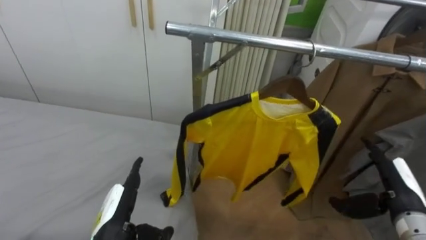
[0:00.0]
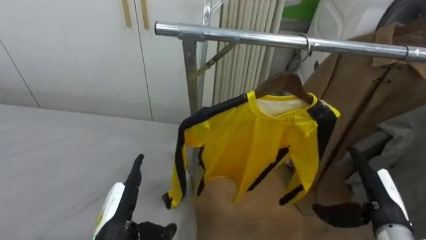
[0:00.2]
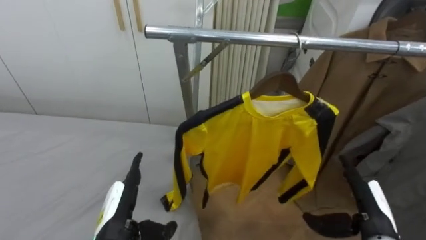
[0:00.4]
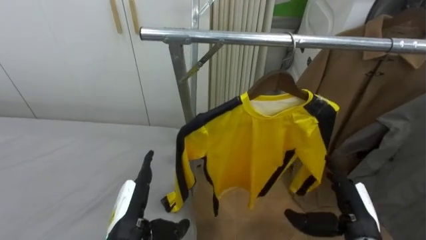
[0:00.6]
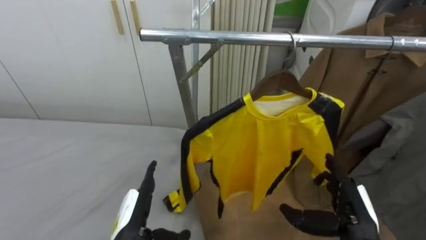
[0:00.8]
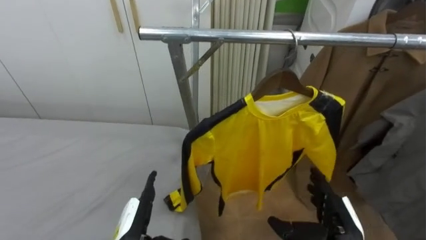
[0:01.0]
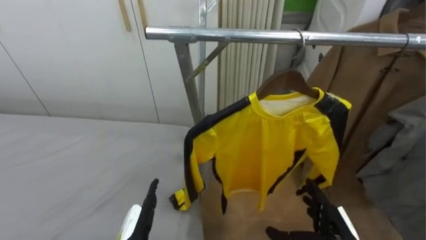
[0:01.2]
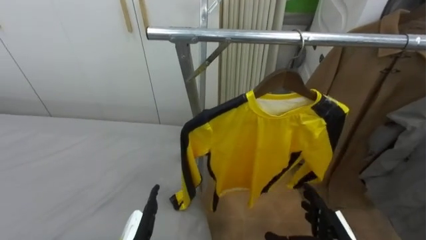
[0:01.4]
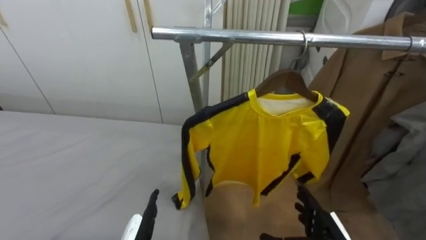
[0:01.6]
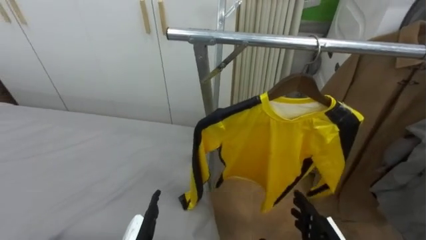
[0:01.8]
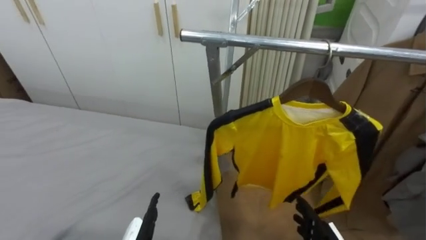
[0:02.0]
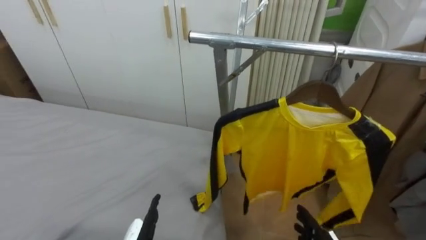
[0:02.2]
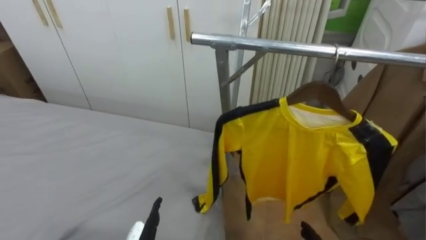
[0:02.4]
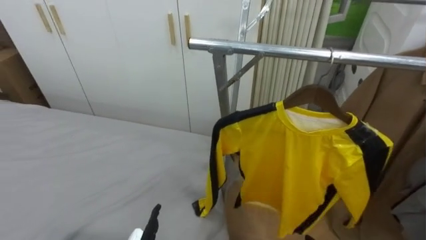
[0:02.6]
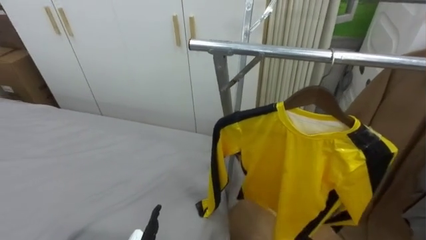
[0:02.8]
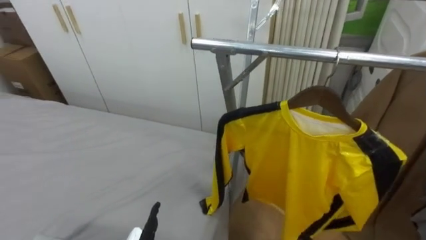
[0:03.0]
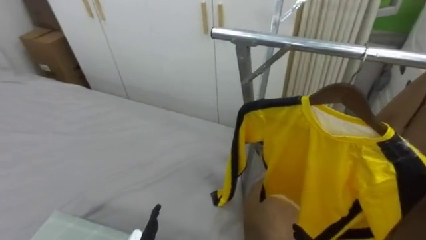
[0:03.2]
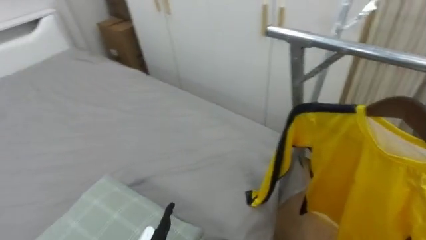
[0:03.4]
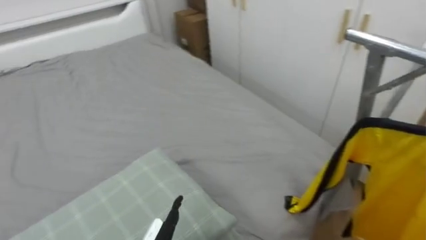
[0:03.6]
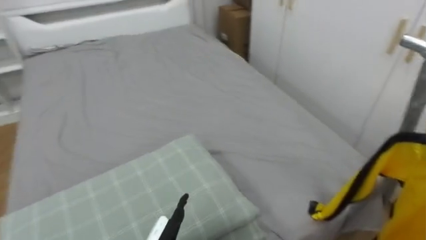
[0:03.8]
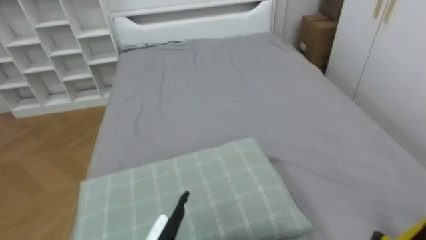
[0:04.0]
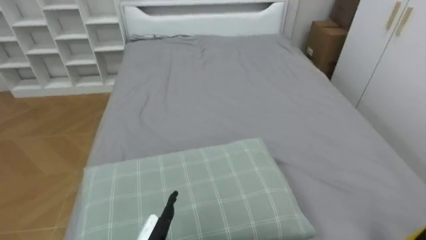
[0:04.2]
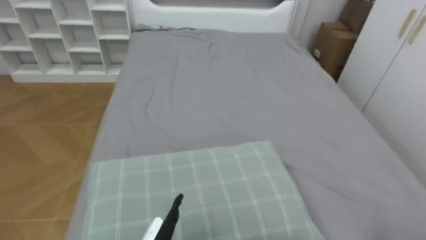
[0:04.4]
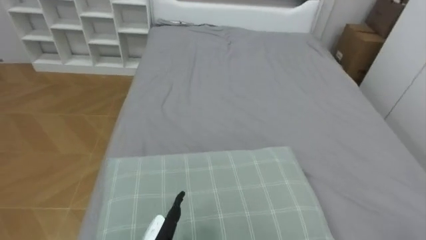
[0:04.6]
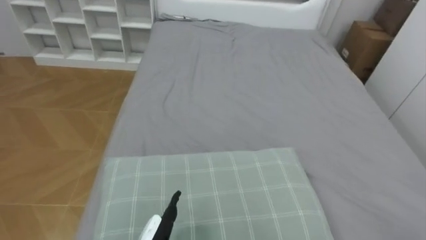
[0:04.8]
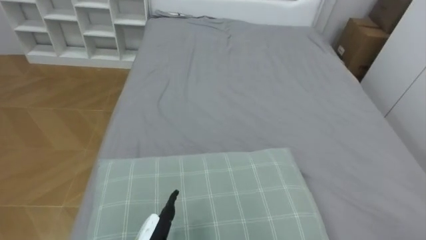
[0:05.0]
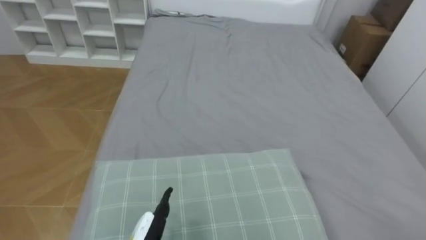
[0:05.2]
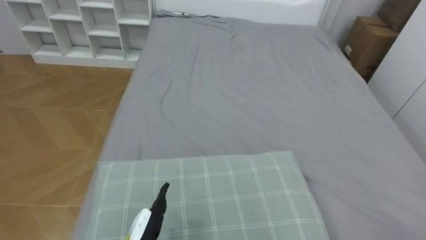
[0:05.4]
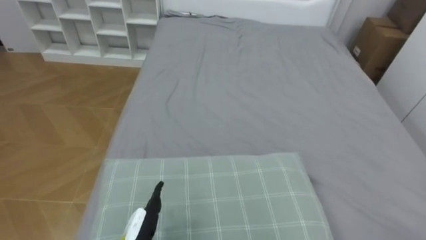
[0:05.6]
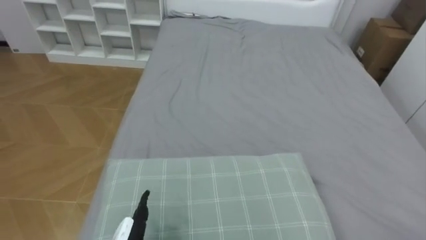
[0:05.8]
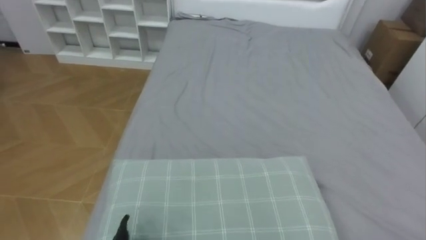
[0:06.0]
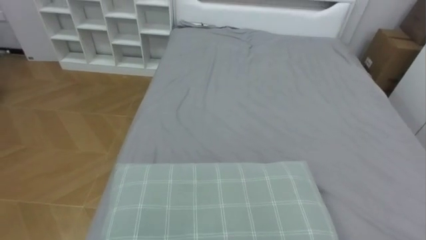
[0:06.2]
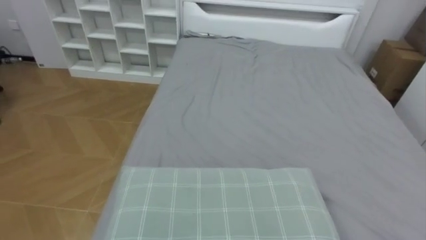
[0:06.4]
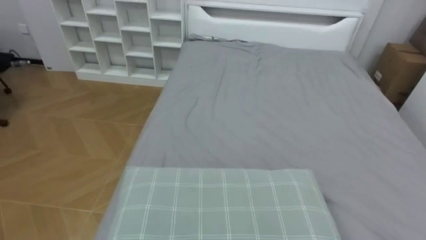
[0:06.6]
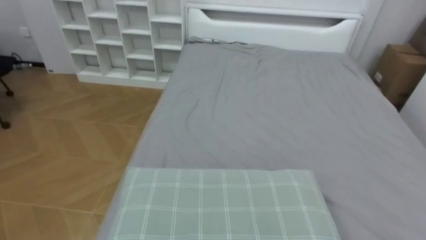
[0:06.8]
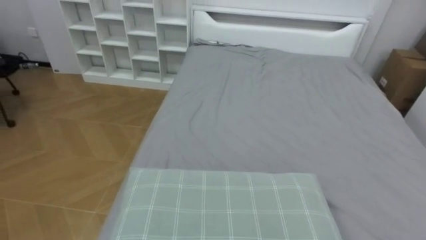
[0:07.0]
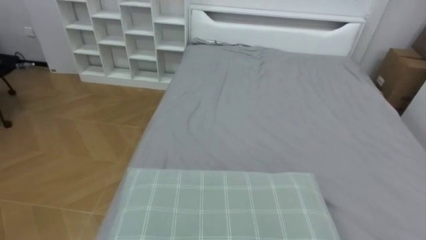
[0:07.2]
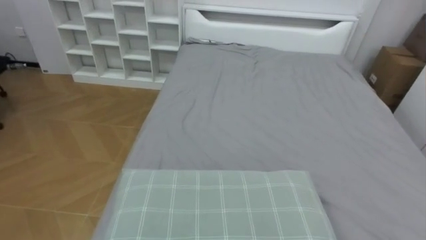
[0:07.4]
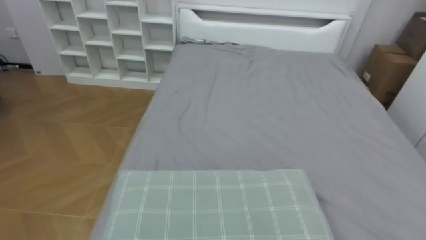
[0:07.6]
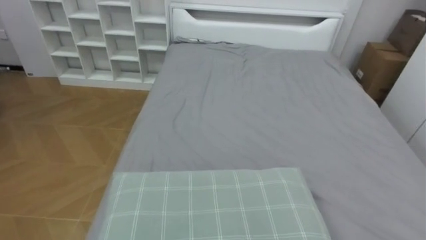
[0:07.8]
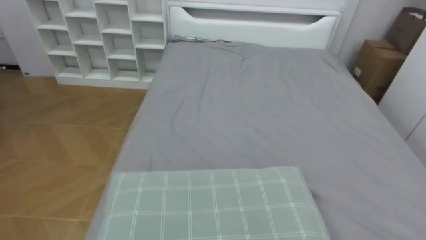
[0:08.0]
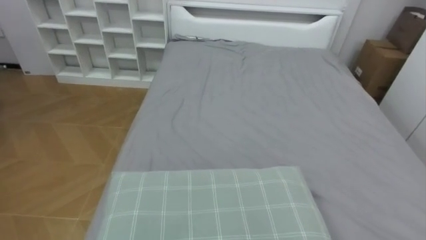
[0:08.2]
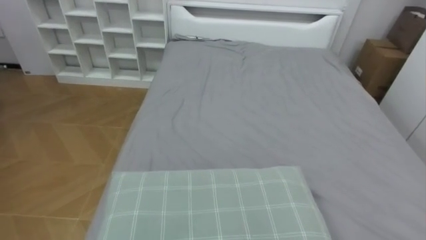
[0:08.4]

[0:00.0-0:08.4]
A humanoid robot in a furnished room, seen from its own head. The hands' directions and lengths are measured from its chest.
Task of the whole recording: Pick up the yellow shirt on the bed and hang it on the clothes rack on the right.
0:00.0 to 0:01.4: The right hand goes about 15 cm to the left, downward and backward.
0:02.8 to 0:04.2: The robot's body swings roughly 60 degrees to its left.

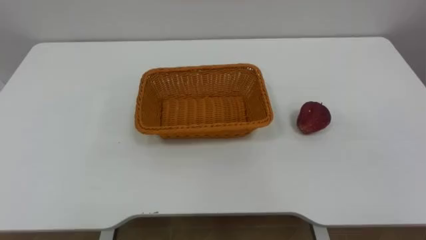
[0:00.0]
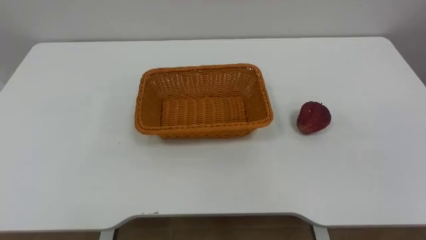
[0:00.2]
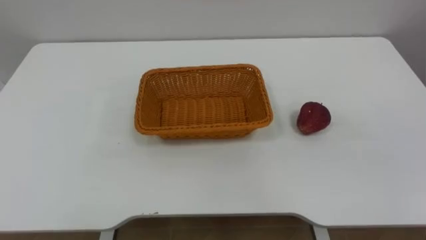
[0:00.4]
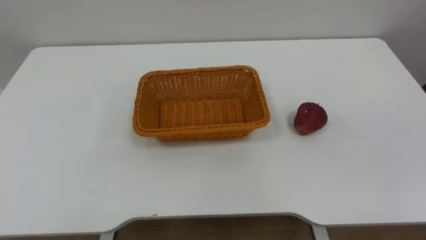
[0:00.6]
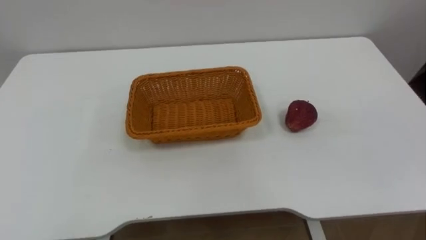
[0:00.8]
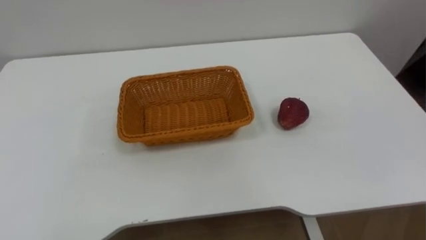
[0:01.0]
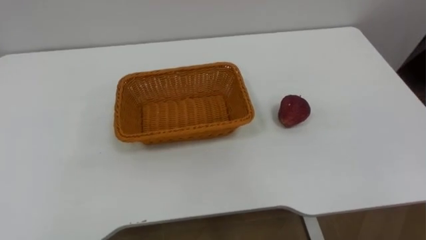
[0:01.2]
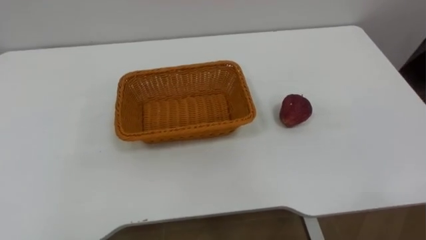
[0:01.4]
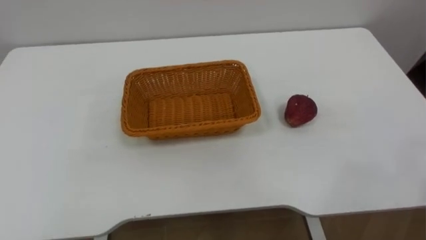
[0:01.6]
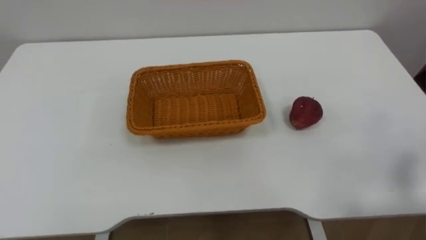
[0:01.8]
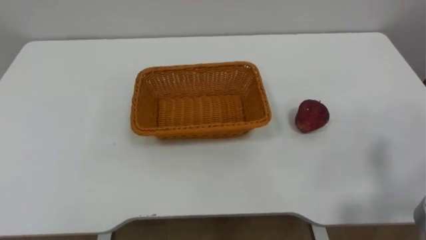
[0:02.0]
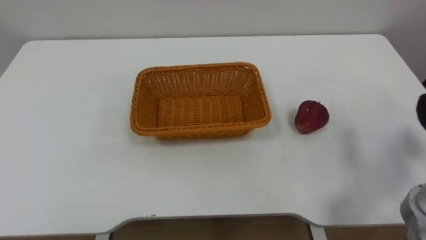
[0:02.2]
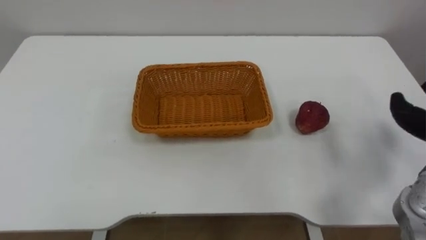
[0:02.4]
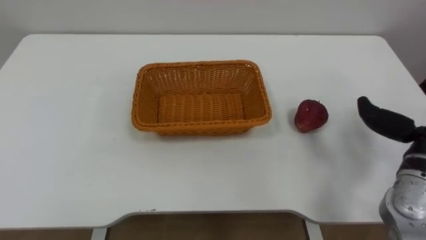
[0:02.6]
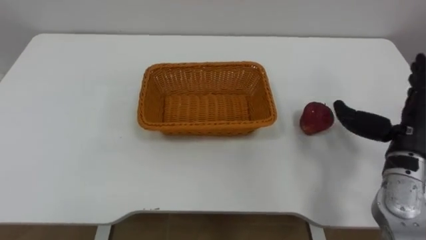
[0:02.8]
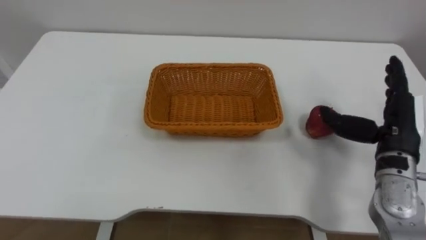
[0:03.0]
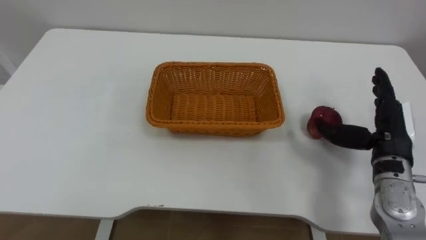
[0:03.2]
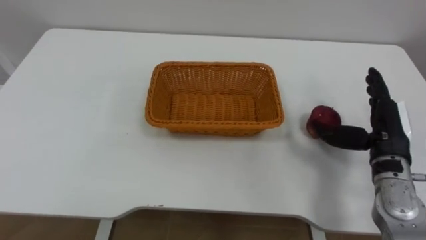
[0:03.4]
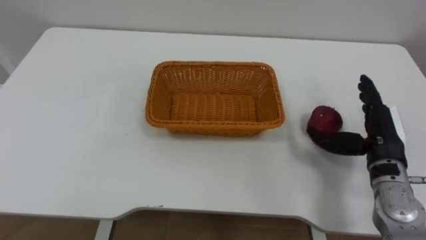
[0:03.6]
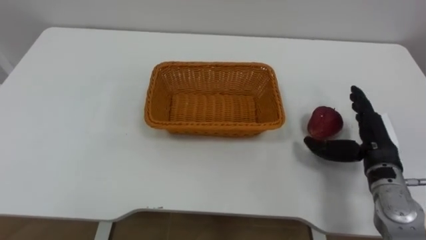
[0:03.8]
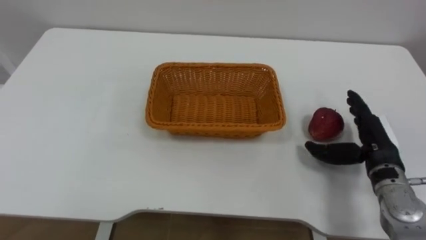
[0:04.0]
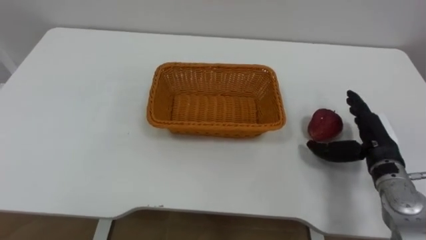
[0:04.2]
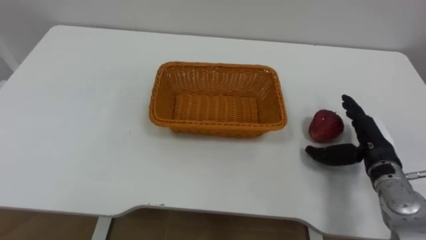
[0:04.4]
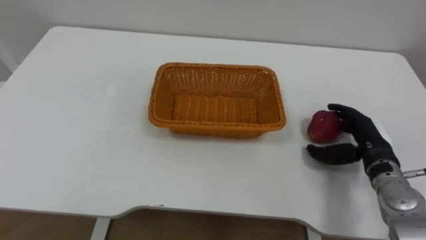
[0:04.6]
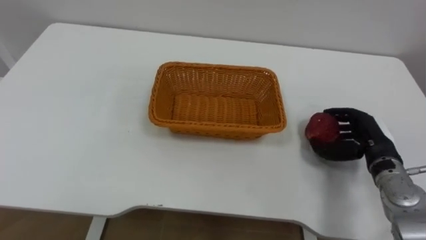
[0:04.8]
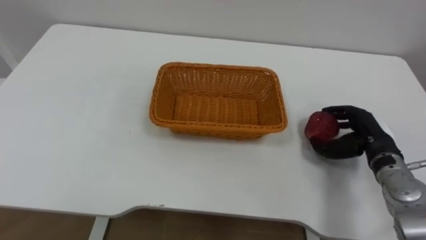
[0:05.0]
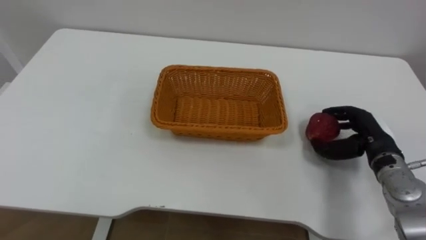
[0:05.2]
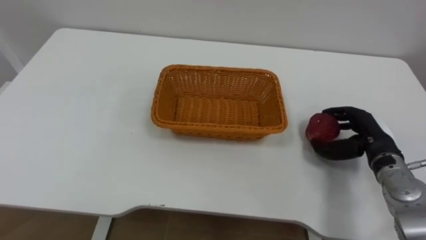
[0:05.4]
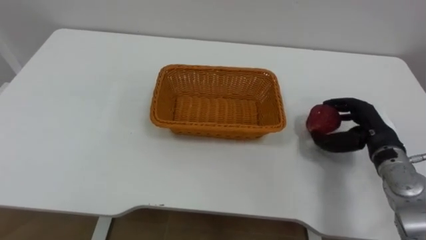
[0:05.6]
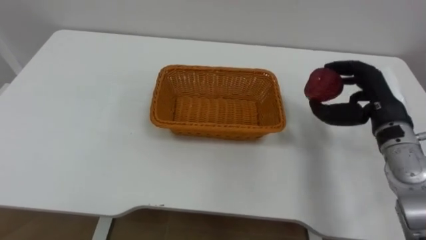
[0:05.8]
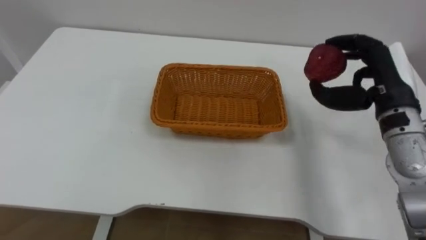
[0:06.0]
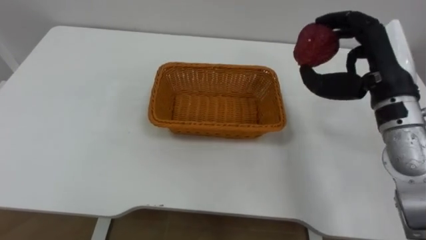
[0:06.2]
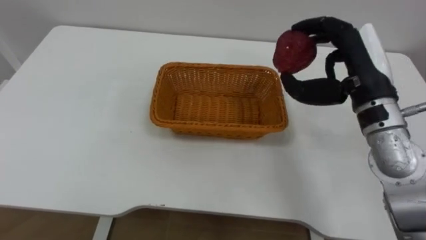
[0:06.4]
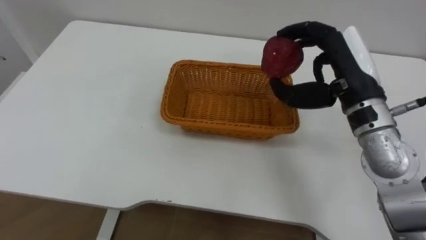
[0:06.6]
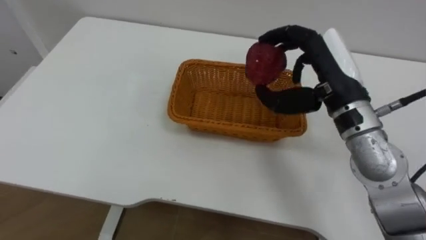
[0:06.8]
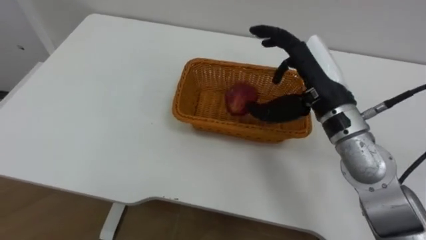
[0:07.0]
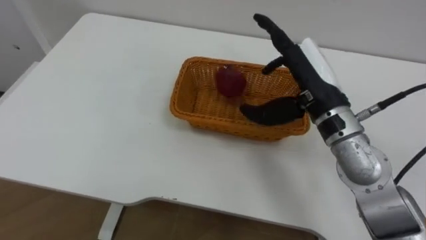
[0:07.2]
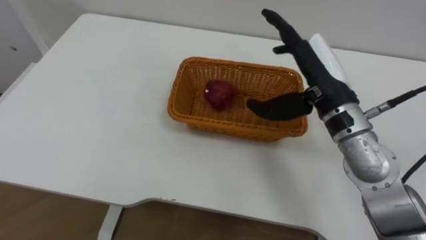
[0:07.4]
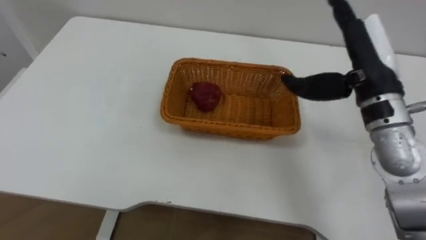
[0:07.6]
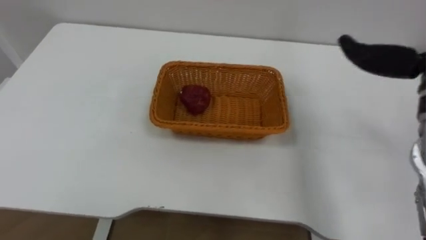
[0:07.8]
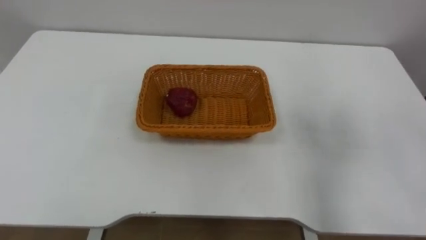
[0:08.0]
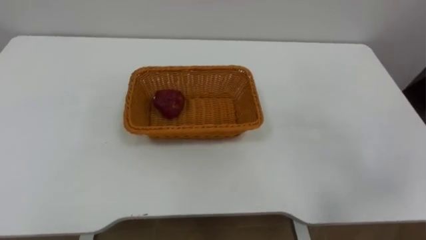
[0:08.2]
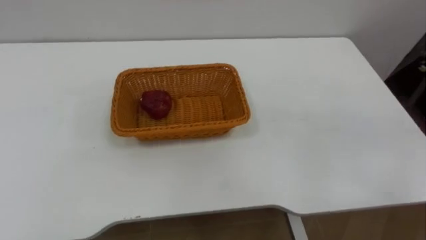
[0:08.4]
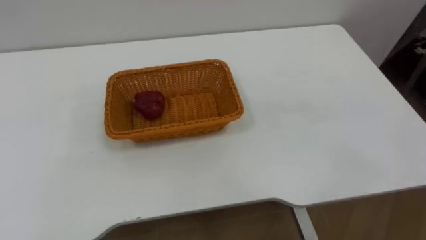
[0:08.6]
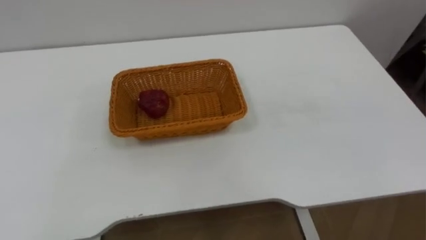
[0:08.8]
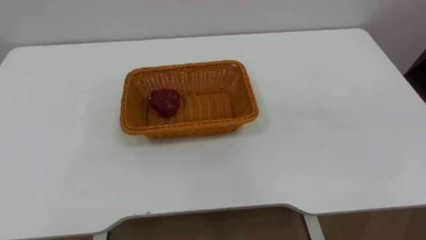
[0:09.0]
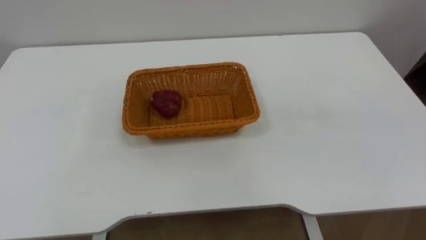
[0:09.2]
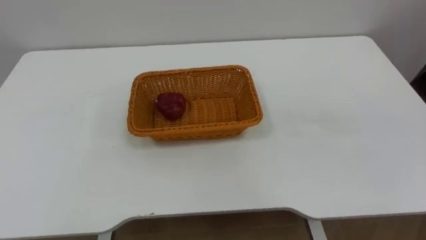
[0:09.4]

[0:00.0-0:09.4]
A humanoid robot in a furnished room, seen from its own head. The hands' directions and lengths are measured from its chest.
Task of the whole recording: Pick the apple and place it in the box.
0:03.2 to 0:04.8: The right hand heads downward, covering about 5 cm, and closes its fingers.
0:04.8 to 0:06.2: The right hand moves upward, roughly 20 cm.
